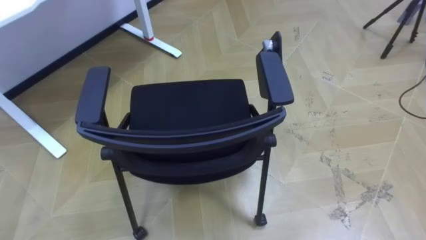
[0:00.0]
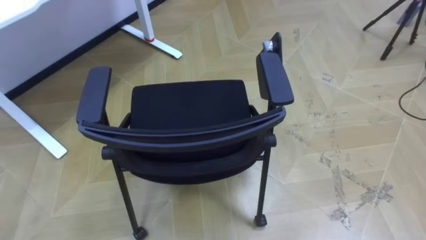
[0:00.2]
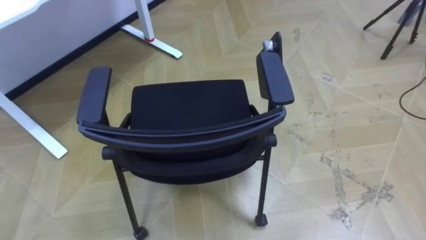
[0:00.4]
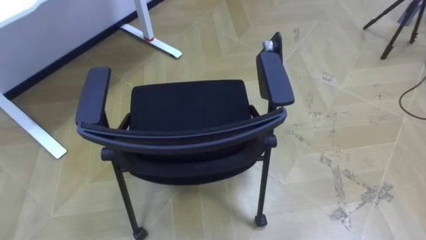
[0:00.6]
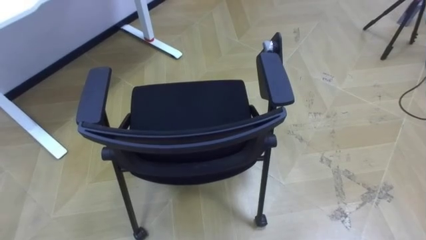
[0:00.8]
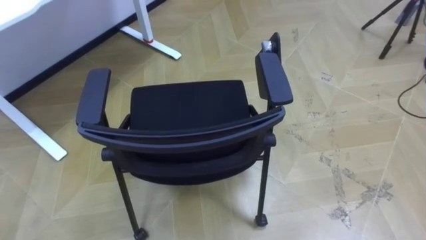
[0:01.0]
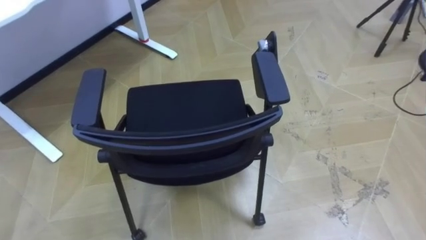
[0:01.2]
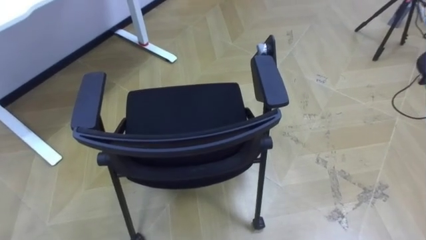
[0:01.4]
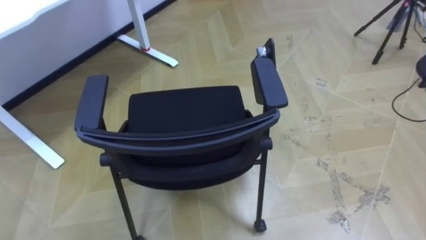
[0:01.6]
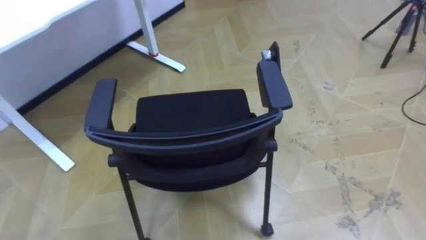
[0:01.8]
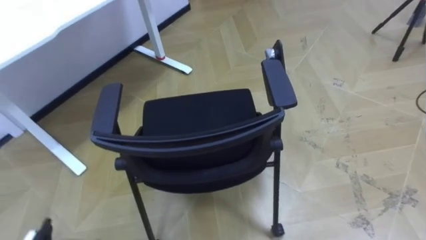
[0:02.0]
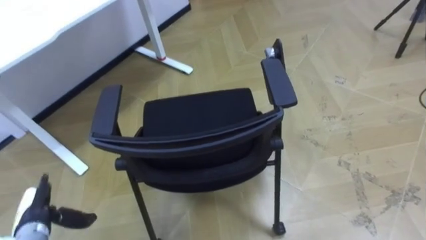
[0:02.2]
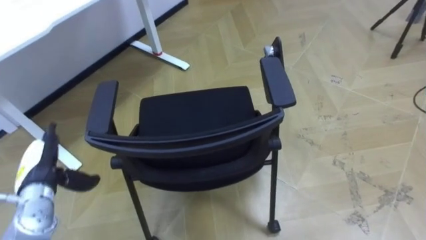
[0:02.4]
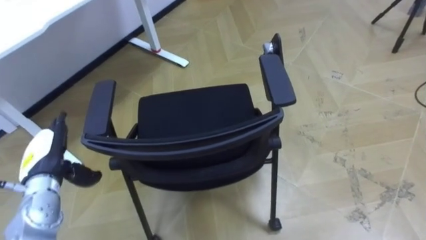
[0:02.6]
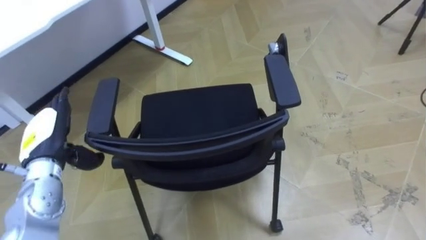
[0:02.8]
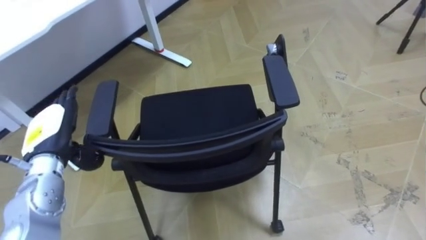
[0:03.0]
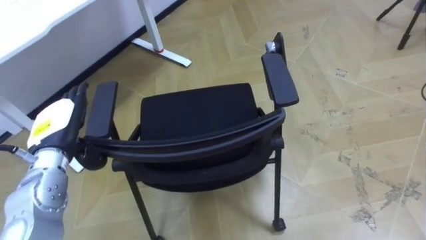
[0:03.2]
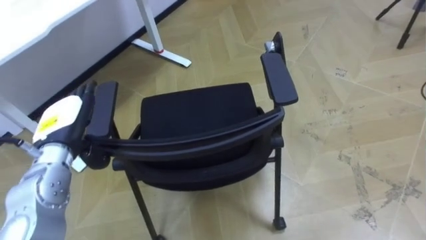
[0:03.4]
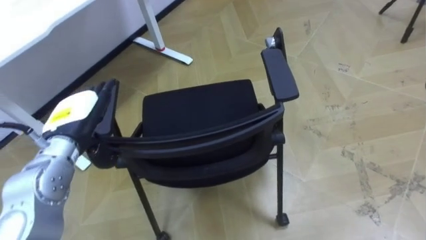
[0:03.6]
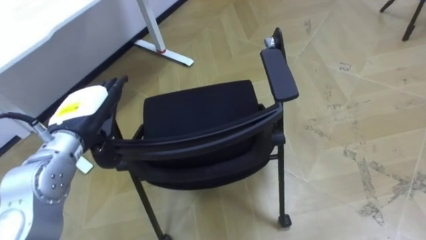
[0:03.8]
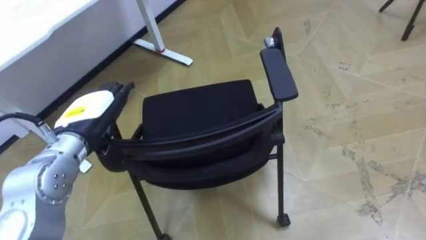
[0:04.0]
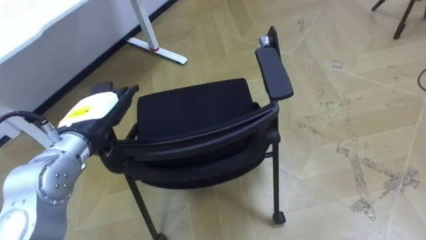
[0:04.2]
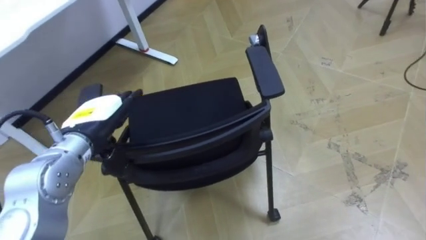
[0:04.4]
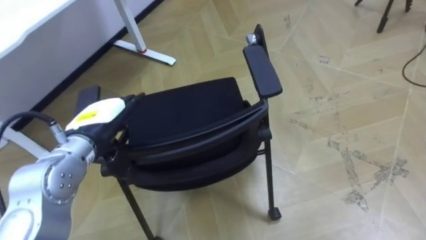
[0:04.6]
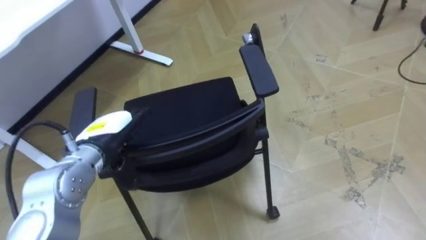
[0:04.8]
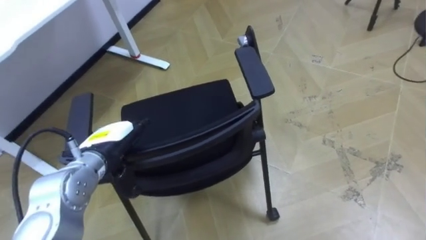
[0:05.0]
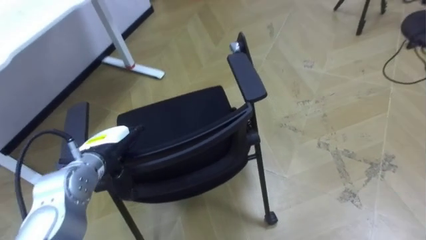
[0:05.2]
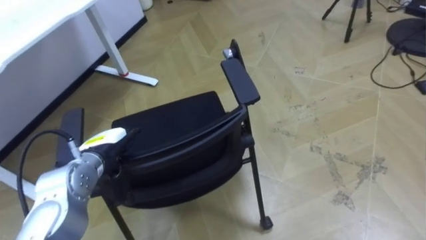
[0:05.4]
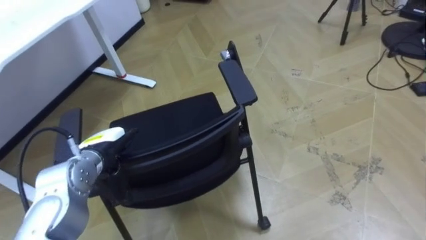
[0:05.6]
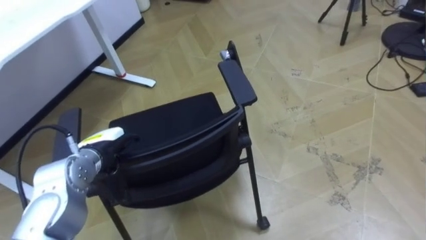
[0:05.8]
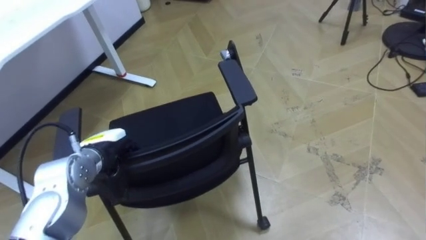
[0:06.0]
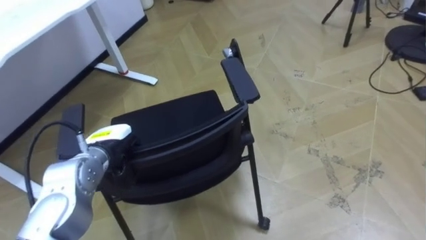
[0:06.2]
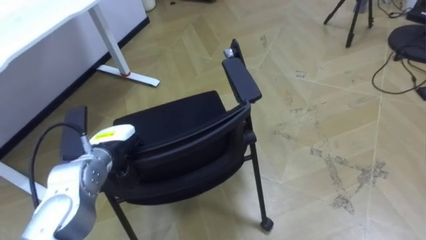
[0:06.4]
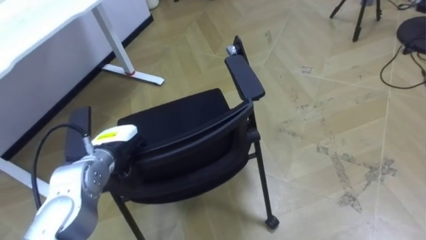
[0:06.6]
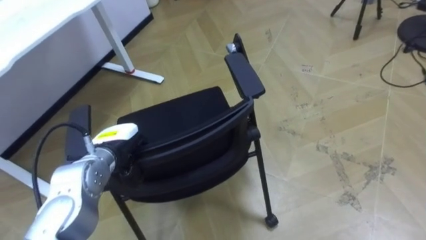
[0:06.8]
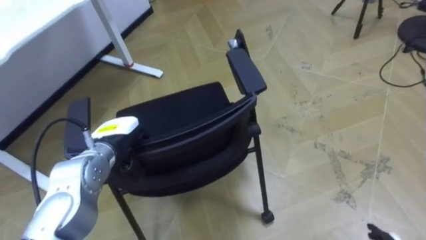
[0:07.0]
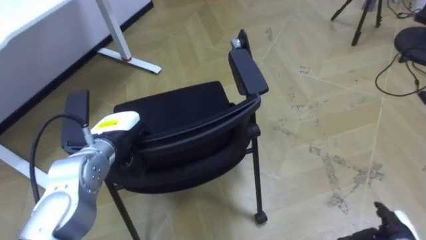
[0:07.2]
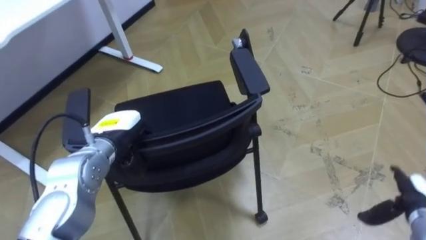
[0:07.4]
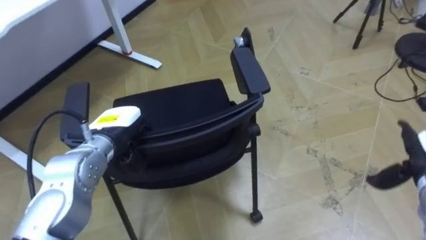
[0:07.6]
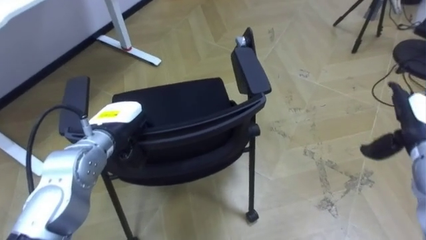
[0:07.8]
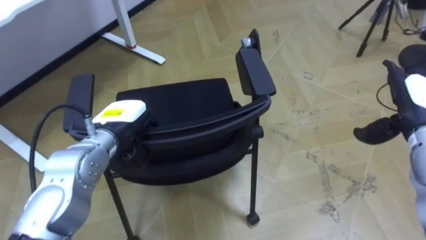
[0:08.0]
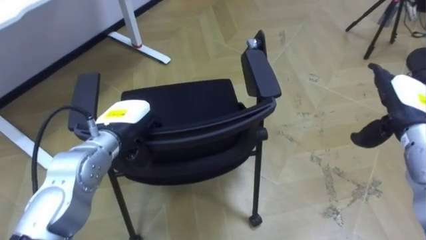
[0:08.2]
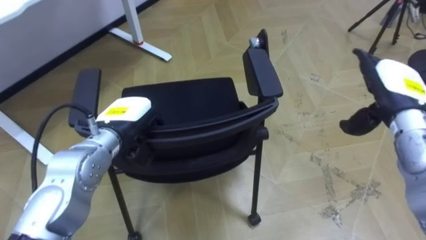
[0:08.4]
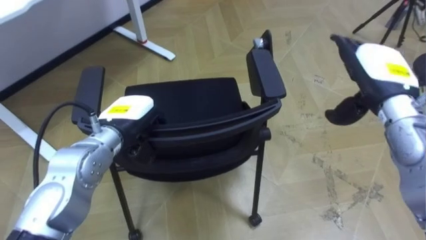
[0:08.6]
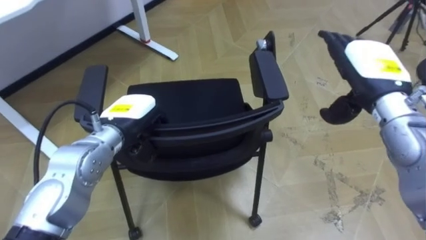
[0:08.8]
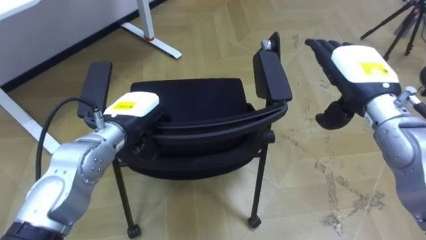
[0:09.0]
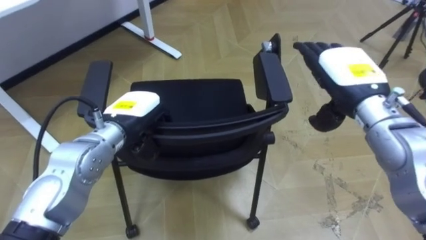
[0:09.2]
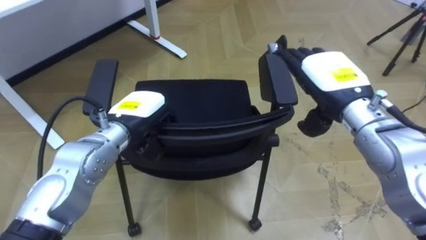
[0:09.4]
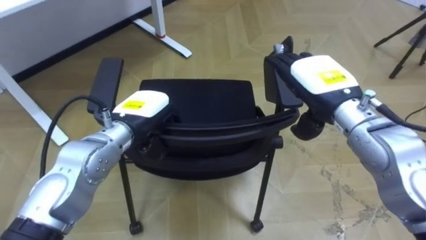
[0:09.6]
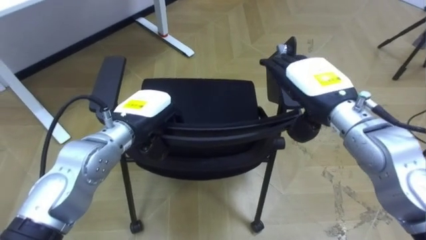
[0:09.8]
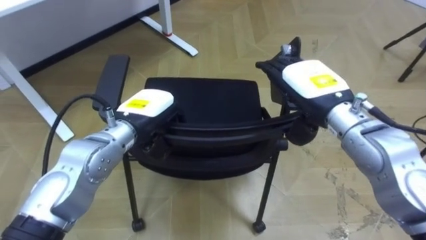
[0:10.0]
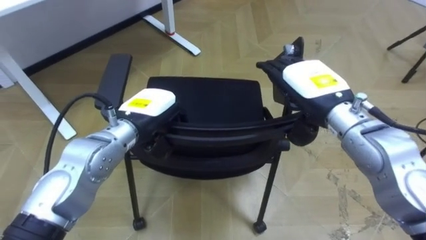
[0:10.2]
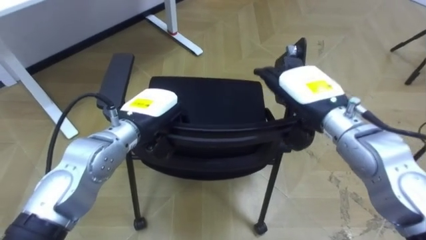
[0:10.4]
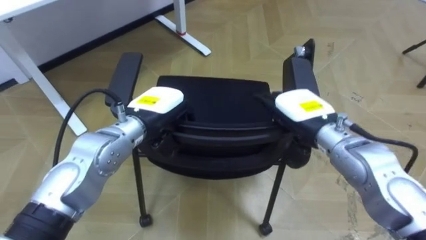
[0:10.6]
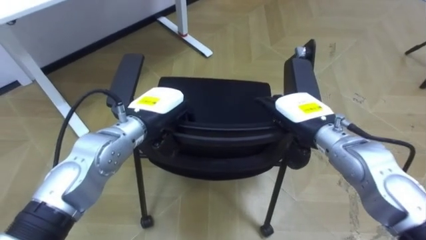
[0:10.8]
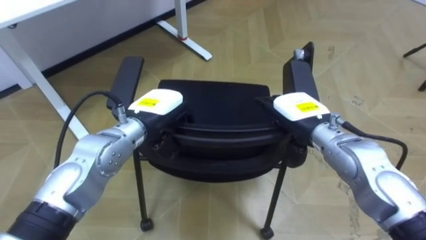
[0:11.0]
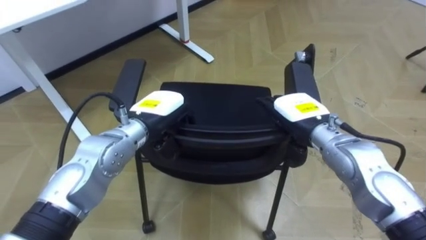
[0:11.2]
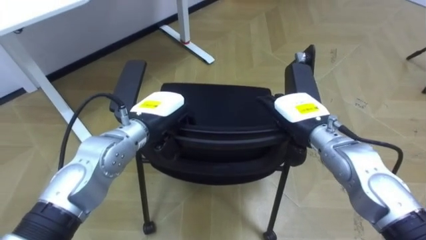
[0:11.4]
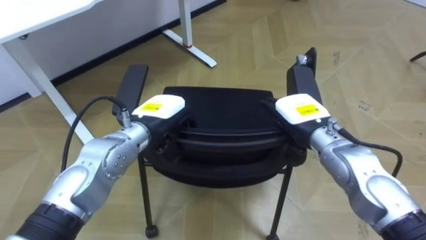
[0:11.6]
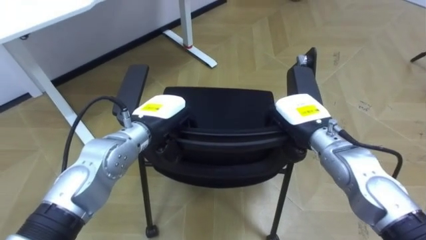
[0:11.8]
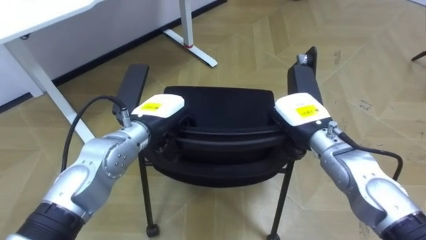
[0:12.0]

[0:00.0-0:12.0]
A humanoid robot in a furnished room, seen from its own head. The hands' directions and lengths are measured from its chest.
Task of the whole recording: Push the chair under the table.
0:03.0 to 0:04.4: The left hand goes approximately 10 cm to the right.
0:04.4 to 0:06.0: The left hand travels downward by about 10 cm, and closes.
0:06.0 to 0:07.6: The left hand shifts by some 5 cm.
0:07.6 to 0:09.0: The right hand is displaced to the left, upward and forward by roughly 25 cm.
0:09.0 to 0:10.4: The right hand goes roughly 5 cm to the left.
0:10.4 to 0:12.0: The right hand is displaced downward by roughly 10 cm, and closes.

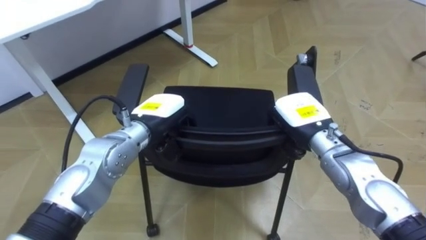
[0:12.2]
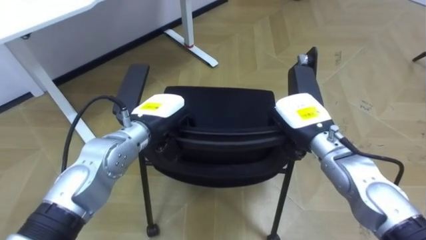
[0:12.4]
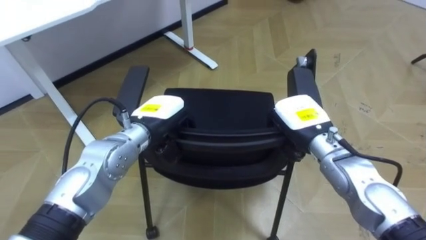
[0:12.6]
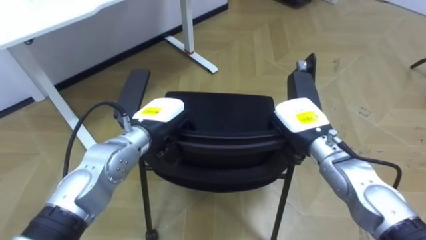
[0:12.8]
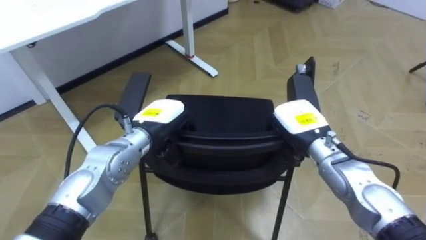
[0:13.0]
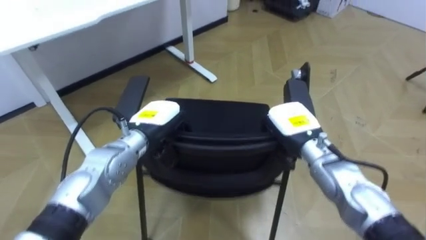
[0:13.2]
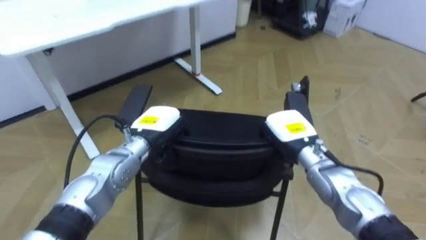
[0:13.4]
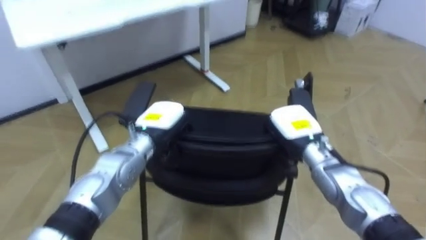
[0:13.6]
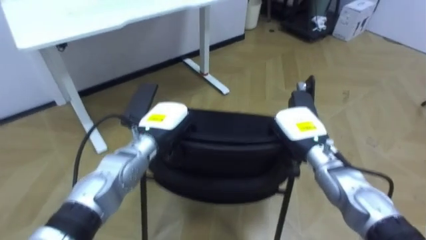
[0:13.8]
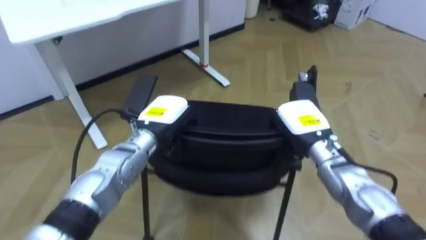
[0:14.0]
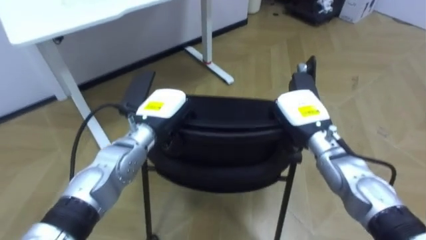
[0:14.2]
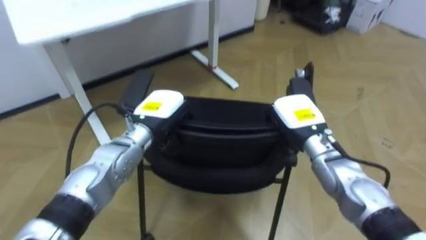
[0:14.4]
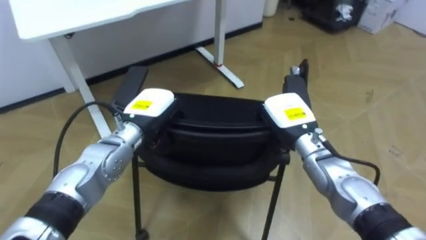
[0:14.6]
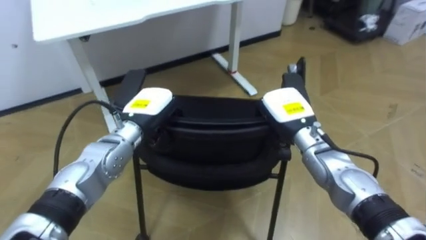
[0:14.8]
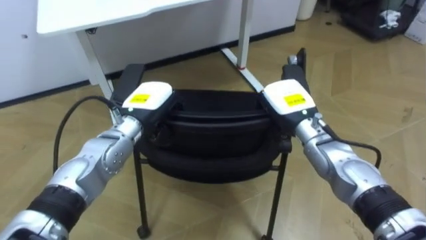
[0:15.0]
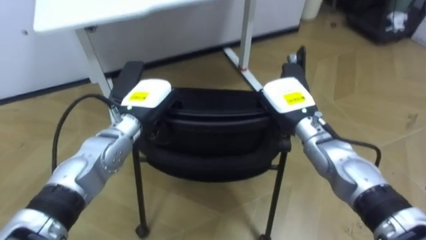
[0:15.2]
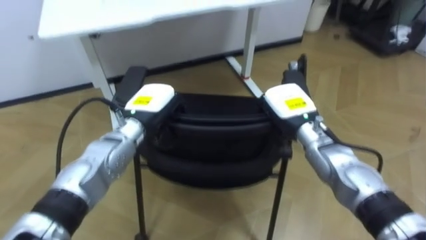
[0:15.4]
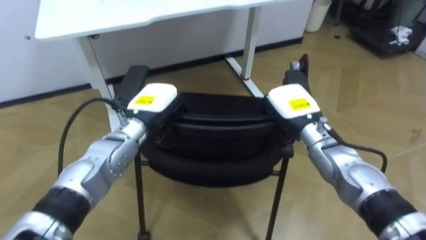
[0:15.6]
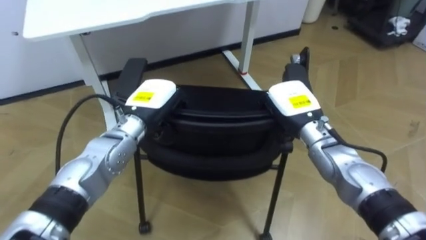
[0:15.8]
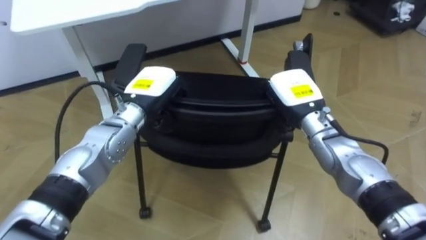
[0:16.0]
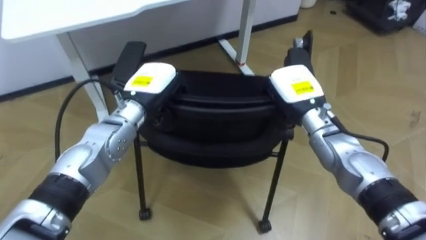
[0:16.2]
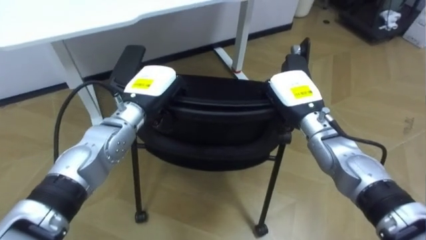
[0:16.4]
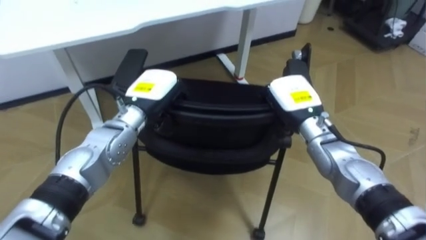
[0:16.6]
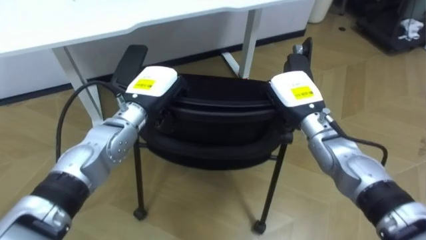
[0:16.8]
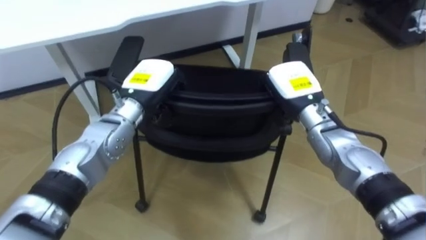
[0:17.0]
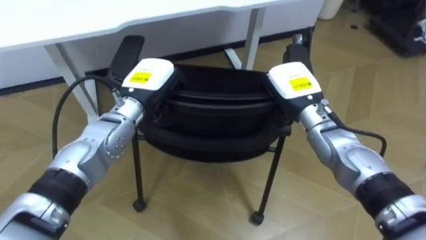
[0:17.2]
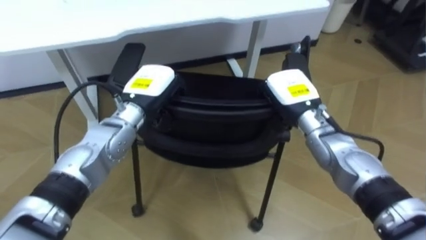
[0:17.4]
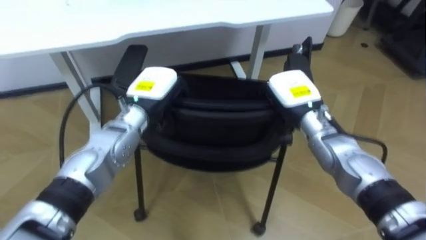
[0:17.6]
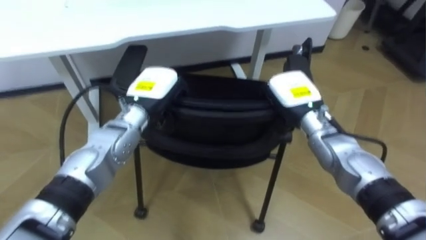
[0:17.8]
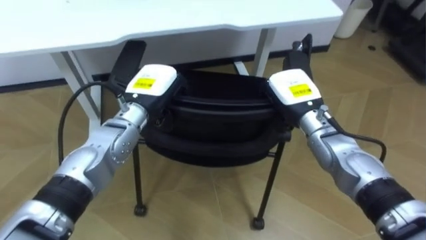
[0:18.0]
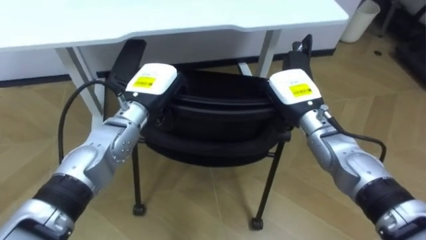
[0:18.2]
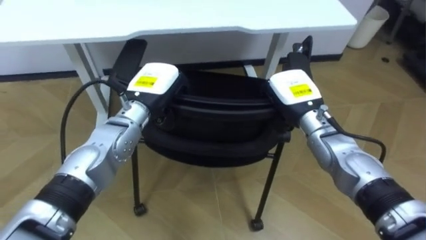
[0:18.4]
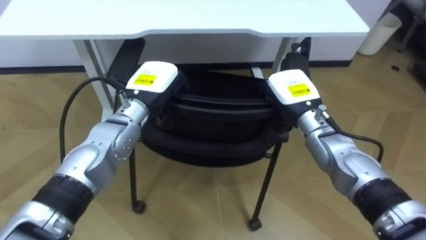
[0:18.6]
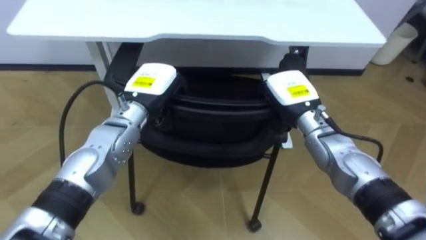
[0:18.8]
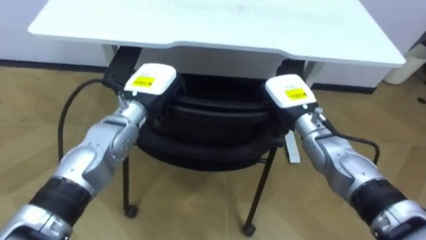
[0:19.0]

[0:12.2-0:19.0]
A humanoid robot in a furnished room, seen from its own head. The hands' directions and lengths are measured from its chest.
Task of the whole recording: Push the chair under the table.
0:13.6 to 0:15.0: The right hand ends up some 5 cm from where it was.
